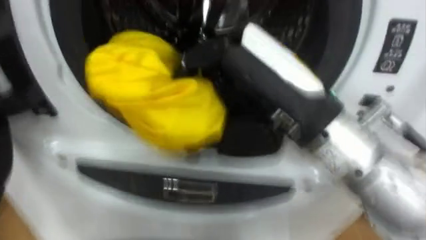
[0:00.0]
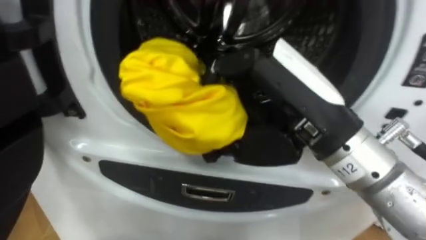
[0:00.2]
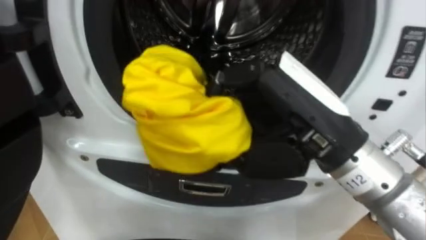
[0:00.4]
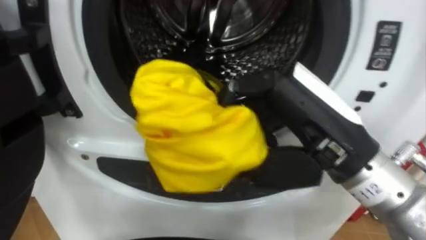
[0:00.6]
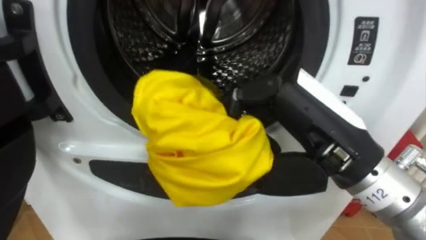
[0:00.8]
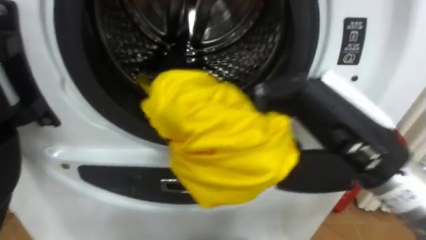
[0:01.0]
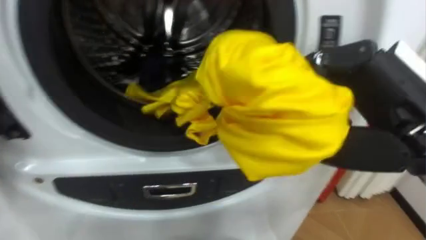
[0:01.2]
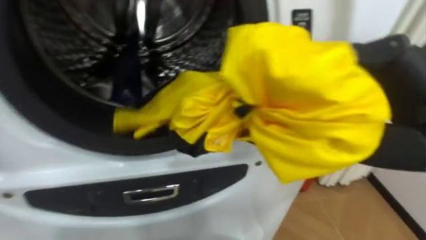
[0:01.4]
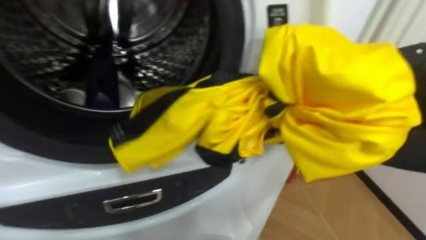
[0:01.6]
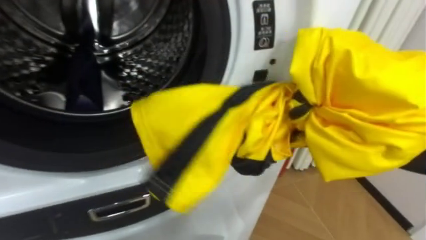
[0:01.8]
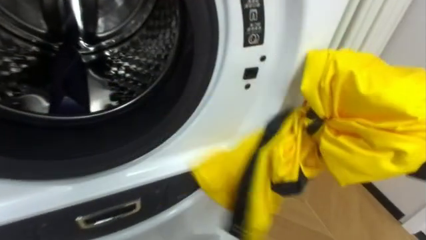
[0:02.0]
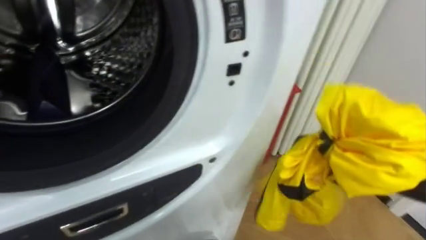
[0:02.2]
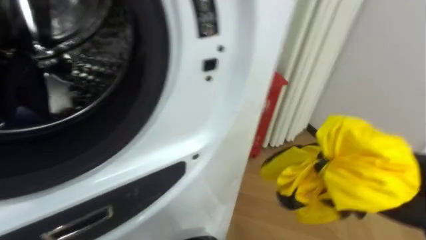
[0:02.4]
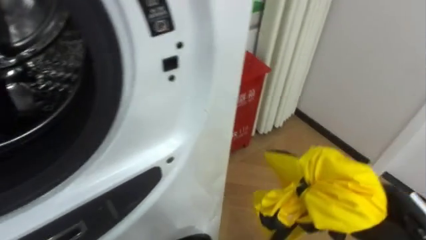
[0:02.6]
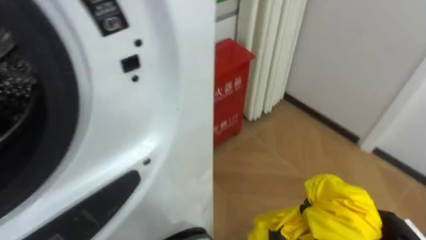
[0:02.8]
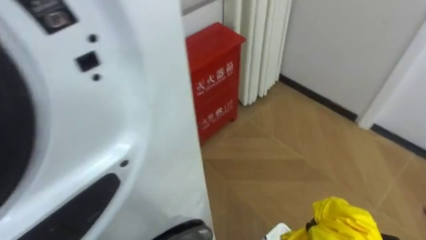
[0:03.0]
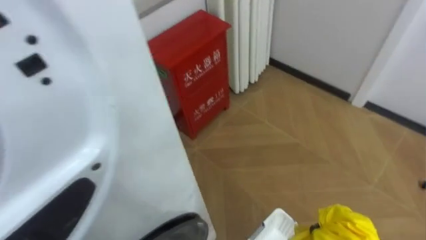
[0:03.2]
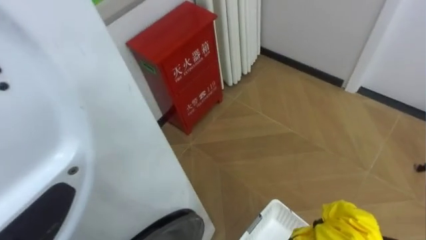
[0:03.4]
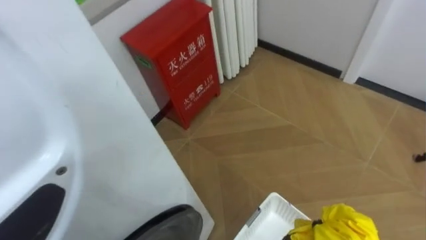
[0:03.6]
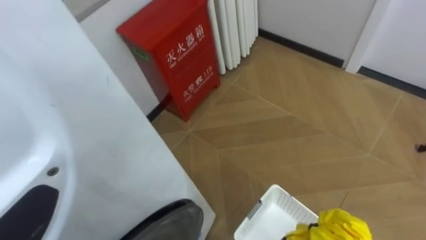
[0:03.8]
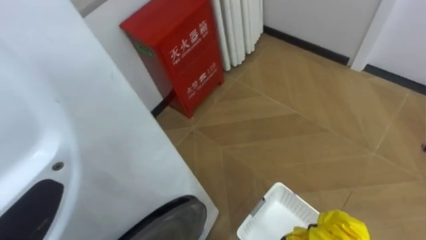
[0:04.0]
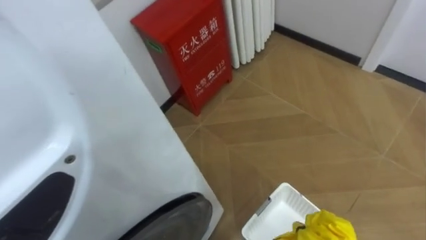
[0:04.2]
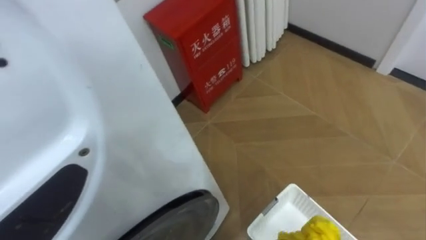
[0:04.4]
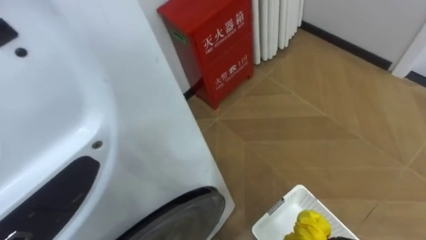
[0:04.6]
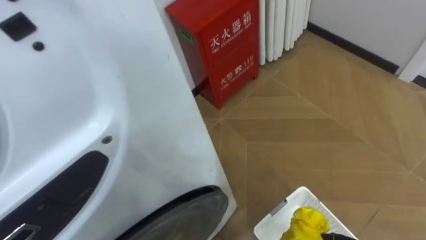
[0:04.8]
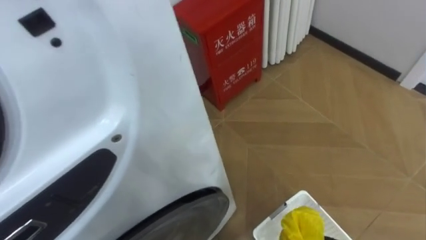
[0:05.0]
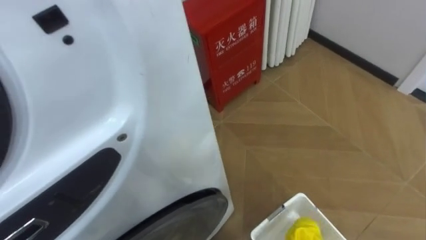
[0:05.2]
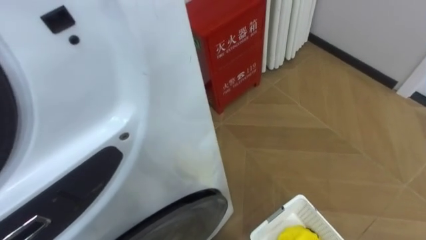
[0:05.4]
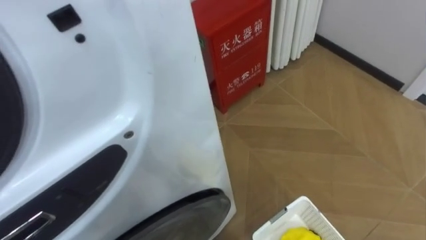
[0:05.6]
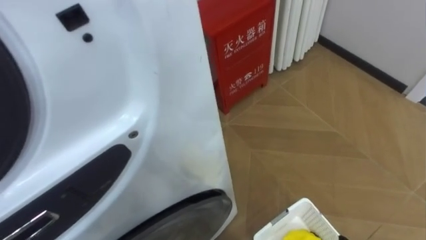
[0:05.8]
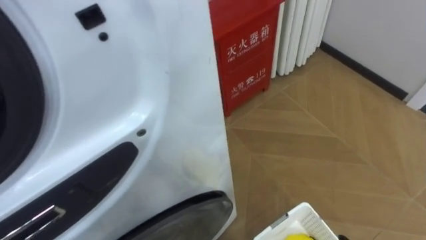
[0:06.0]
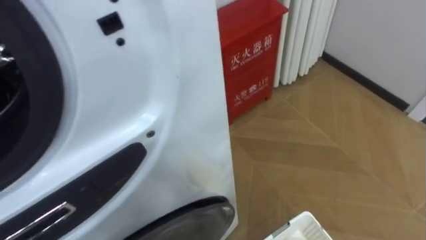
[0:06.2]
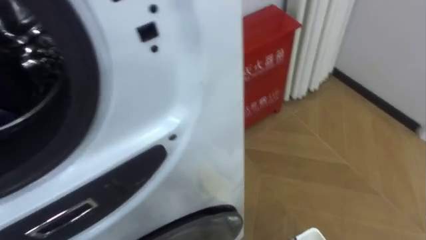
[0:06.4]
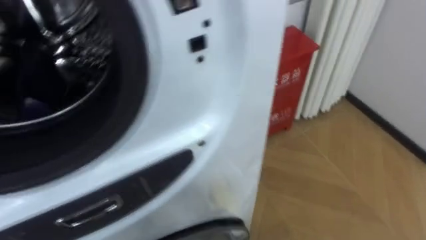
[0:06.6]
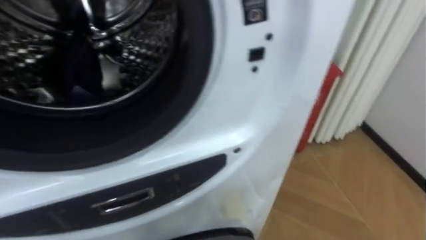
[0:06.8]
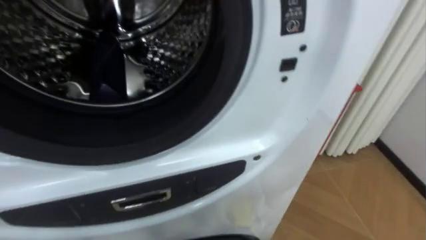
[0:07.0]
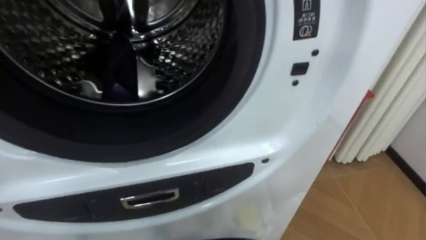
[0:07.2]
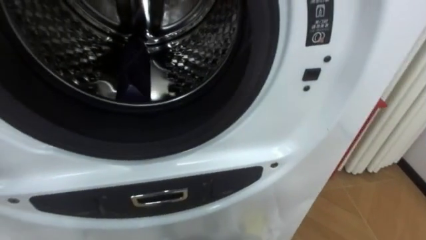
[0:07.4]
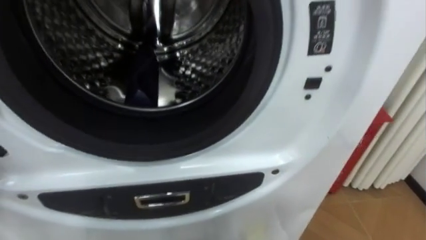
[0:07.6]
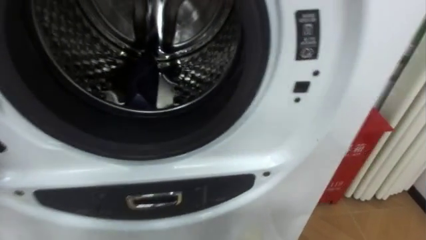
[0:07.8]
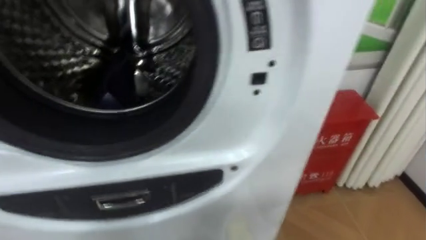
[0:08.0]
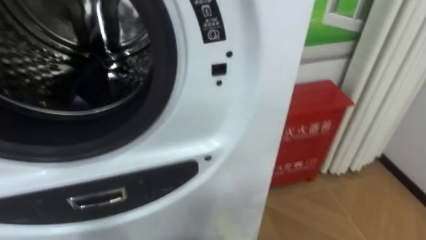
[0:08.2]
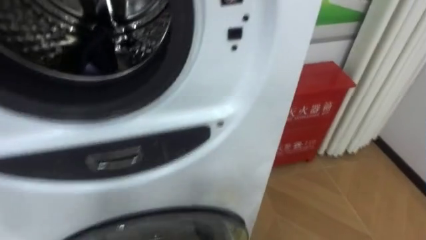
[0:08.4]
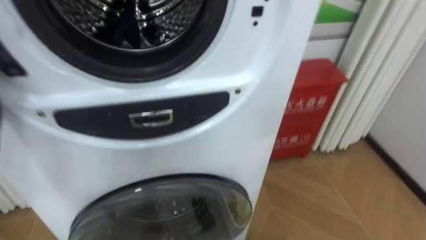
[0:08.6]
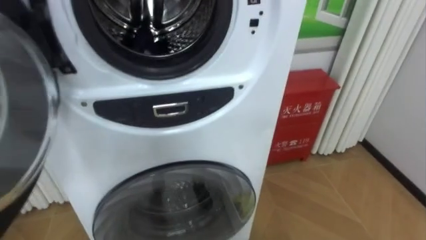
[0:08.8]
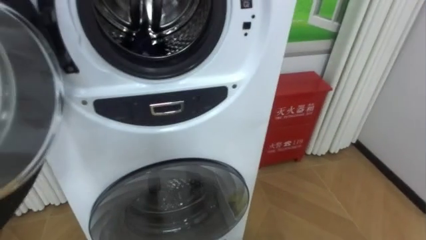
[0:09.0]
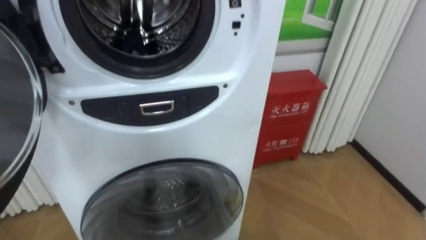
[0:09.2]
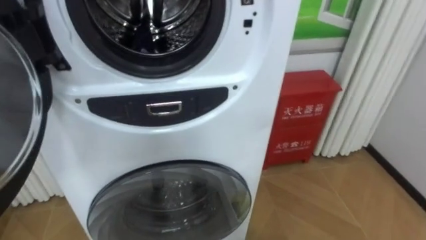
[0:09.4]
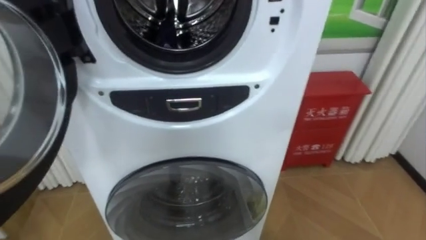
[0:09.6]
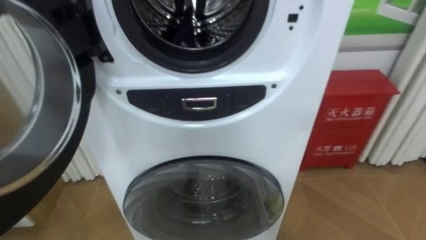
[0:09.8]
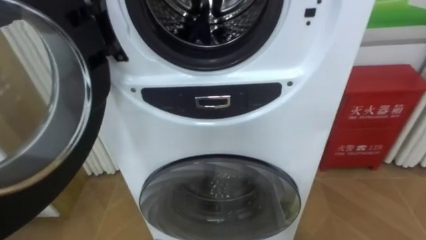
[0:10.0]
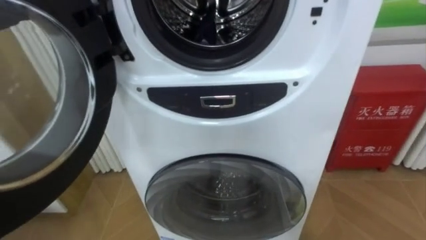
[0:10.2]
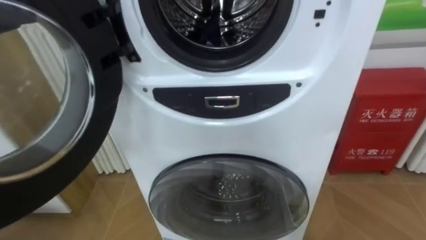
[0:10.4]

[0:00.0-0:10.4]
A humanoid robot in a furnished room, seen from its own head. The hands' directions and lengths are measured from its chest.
Task of the whole recording: Open the washing machine door, take out the yellow clothes, place them in the box on the right, and close the washing machine door.
0:00.0 to 0:01.4: The right hand goes about 15 cm to the right.
0:01.4 to 0:03.0: The robot's body swings roughly 20 degrees to its right.

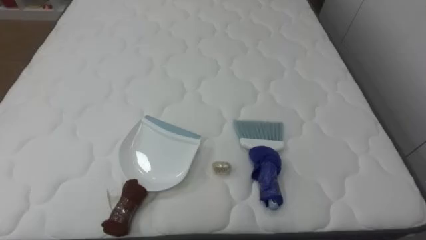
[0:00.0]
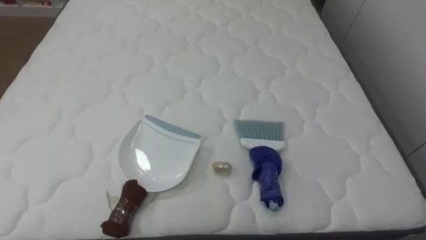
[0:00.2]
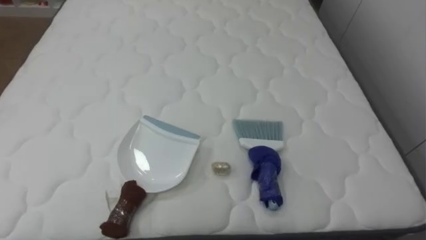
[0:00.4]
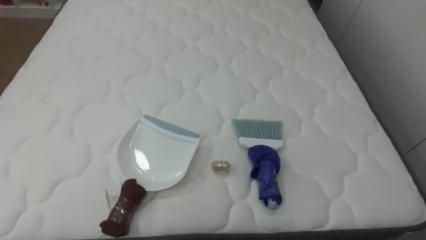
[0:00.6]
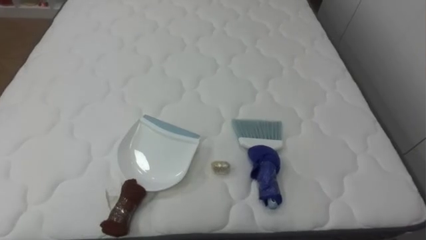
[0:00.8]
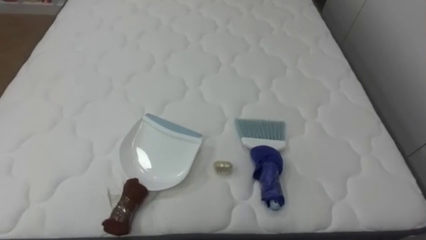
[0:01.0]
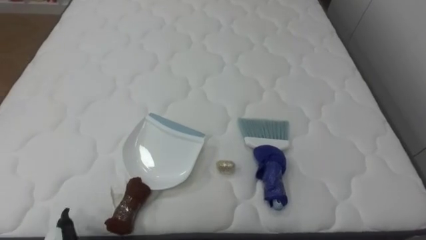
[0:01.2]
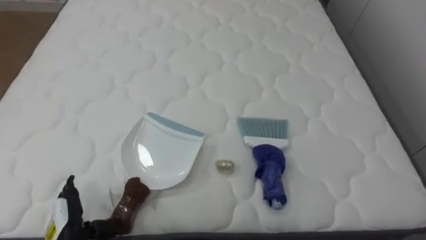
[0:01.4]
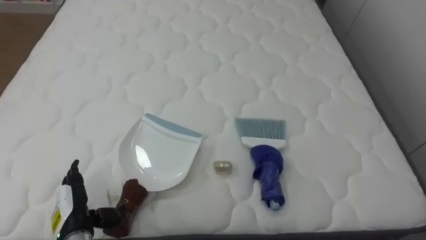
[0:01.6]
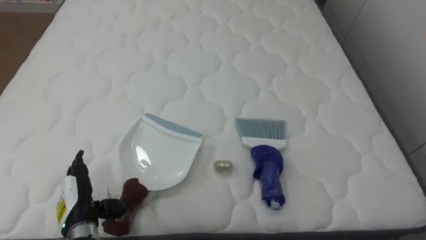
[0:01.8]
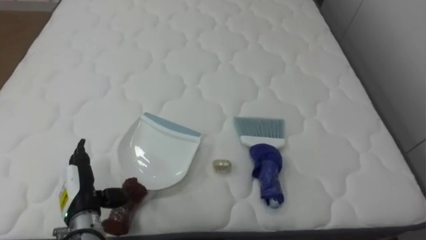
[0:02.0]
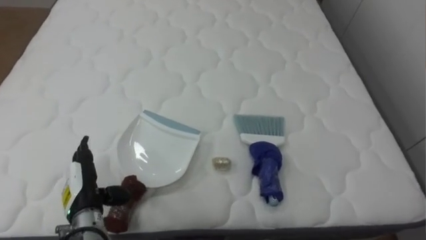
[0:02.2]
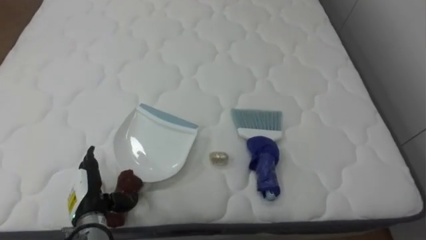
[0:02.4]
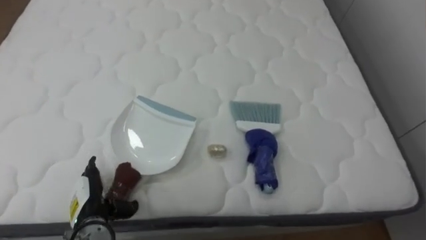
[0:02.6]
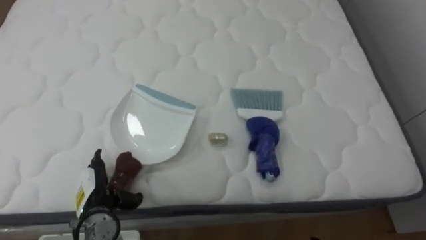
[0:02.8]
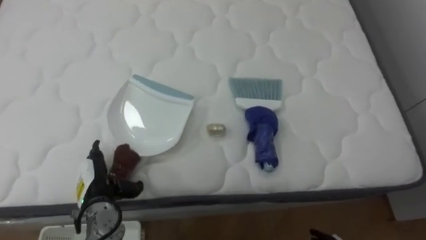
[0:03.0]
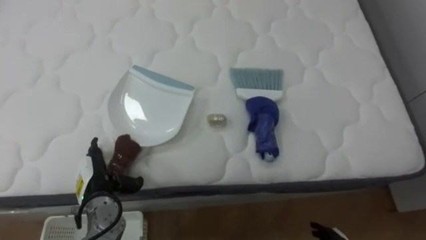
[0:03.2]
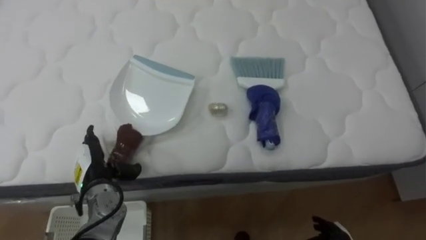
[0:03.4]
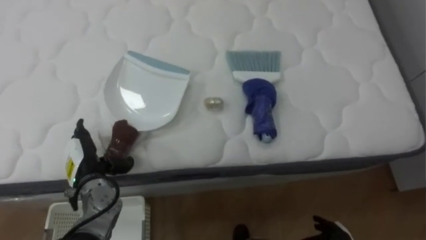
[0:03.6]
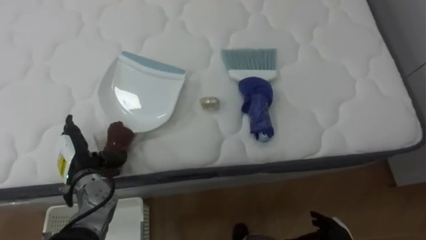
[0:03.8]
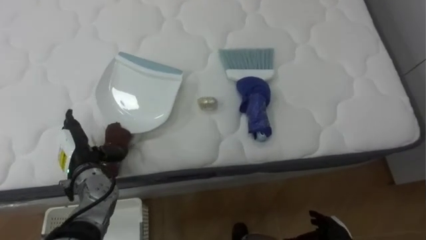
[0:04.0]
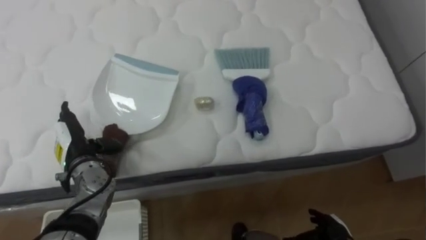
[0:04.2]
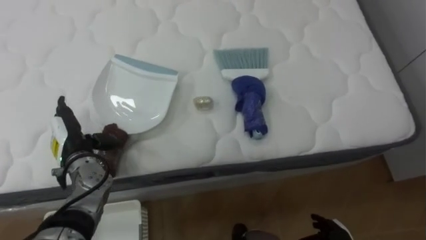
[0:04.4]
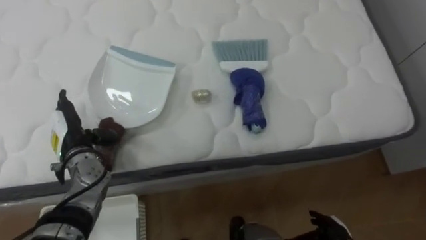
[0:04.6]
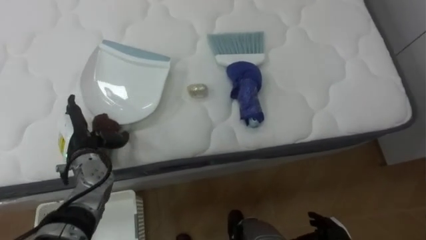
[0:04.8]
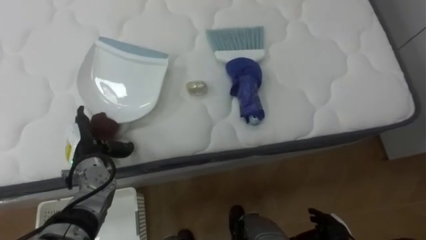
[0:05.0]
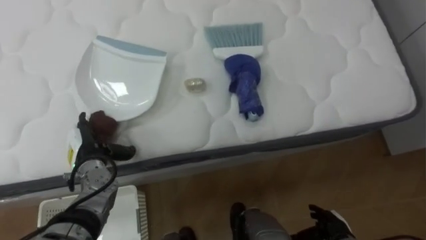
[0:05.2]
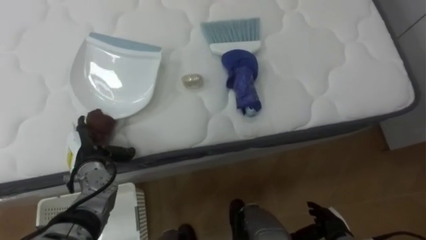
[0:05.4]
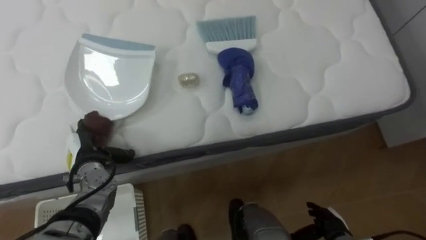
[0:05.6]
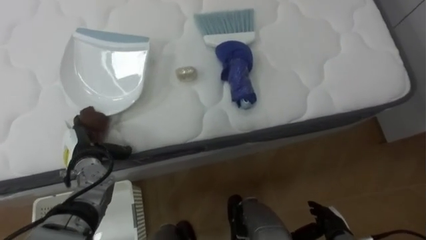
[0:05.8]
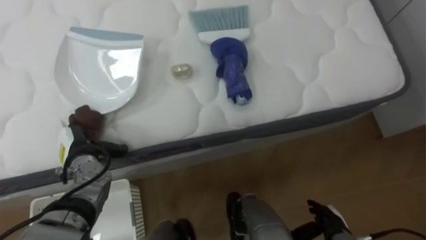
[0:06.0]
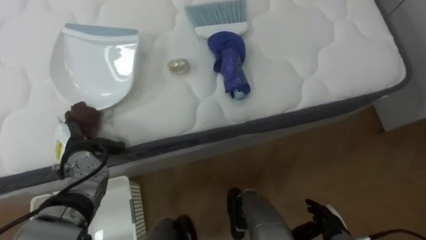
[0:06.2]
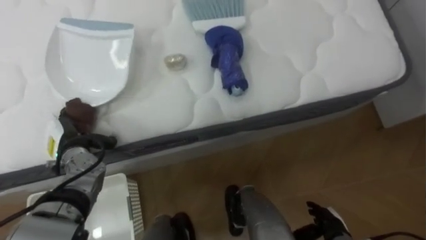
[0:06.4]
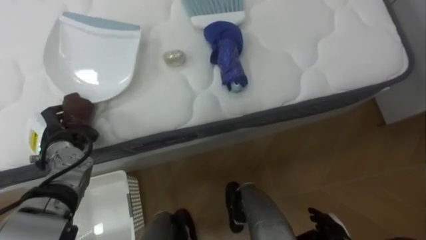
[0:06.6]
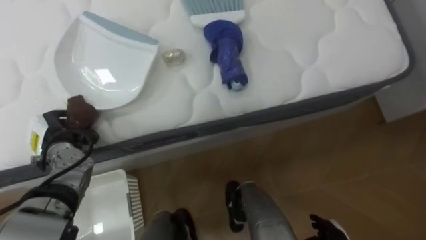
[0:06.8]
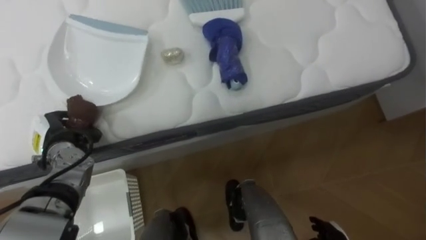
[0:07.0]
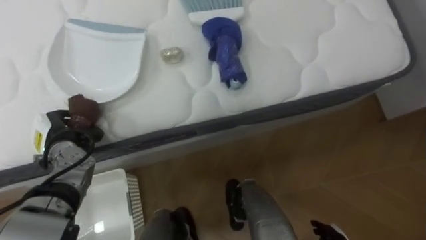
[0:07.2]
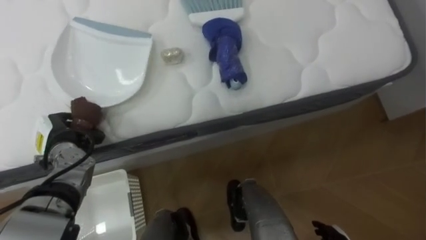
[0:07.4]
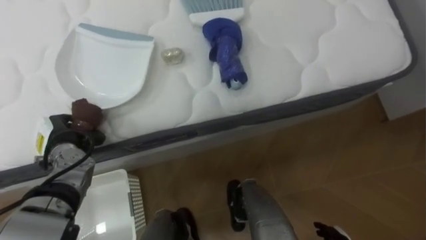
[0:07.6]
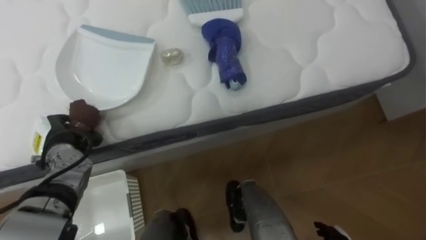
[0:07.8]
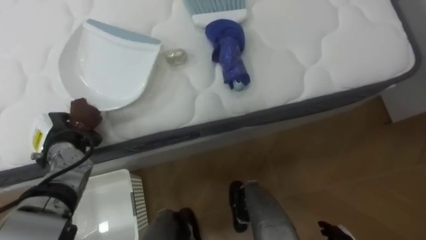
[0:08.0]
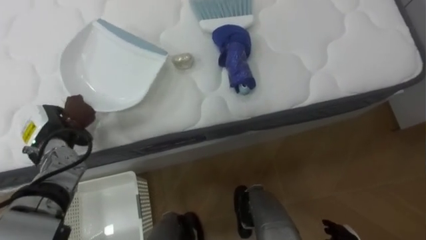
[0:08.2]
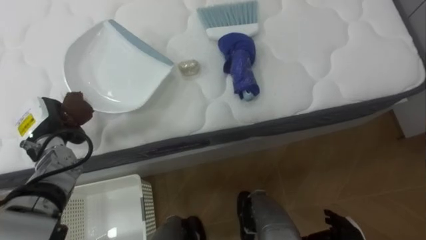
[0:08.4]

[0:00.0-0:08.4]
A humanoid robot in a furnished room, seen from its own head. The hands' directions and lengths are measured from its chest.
Task of the whole recording: Pick up the brush on your right and the dustpan on your left. Use the brush to sweep the crumpled paper on the bed into the dustpan, then turn left and empty it into the basket.
0:01.4 to 0:02.8: The left hand shifts about 5 cm forward.
0:02.8 to 0:04.2: The left hand goes roughly 10 cm forward and upward.
0:05.6 to 0:07.0: The left hand goes roughly 5 cm to the left, and closes.
